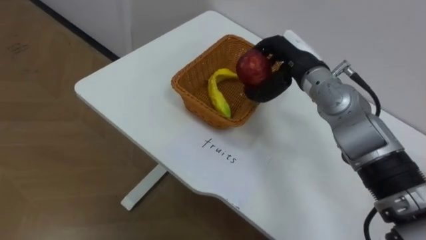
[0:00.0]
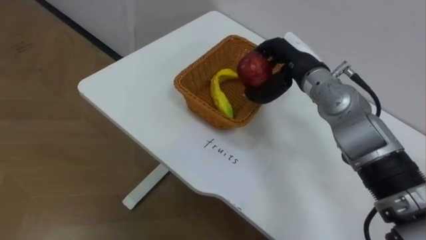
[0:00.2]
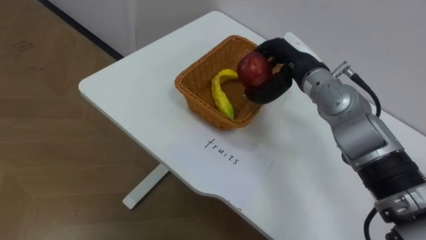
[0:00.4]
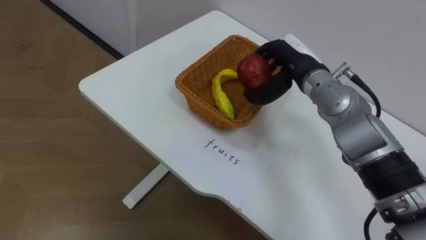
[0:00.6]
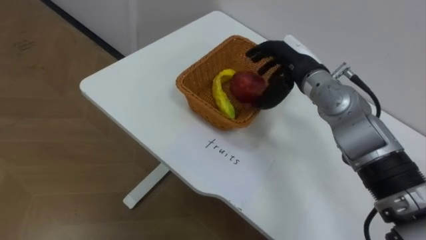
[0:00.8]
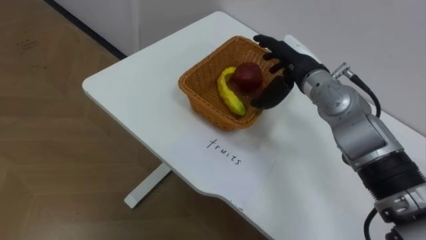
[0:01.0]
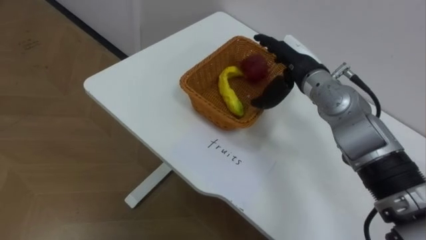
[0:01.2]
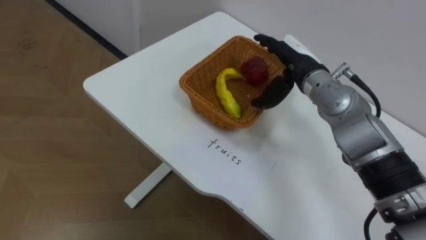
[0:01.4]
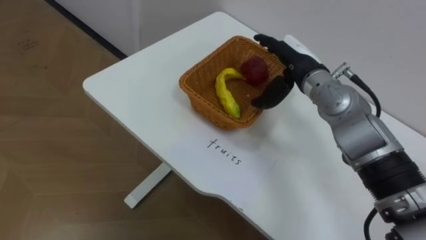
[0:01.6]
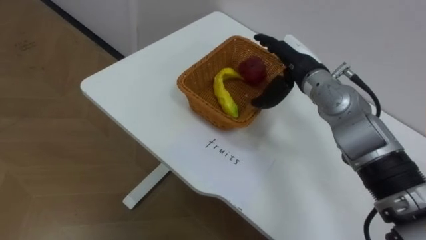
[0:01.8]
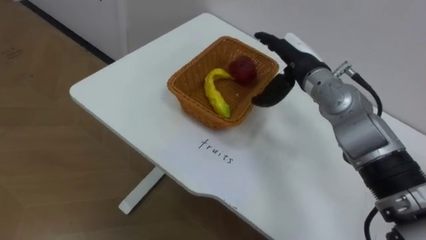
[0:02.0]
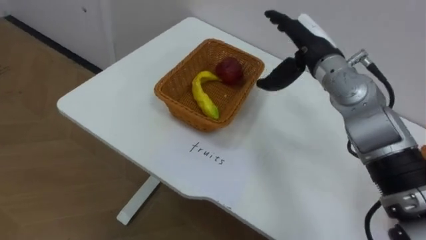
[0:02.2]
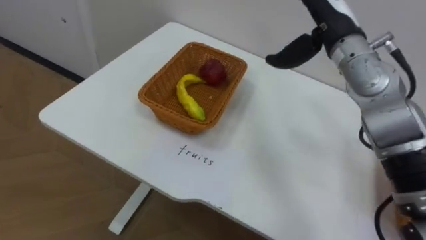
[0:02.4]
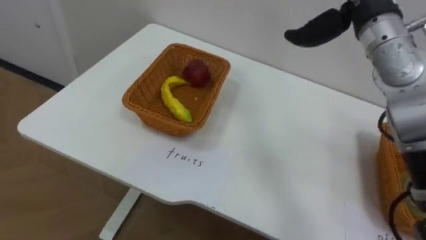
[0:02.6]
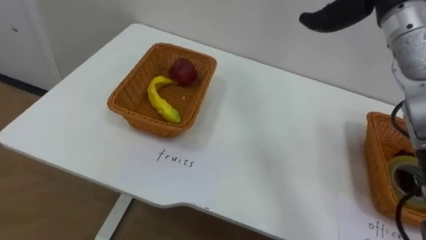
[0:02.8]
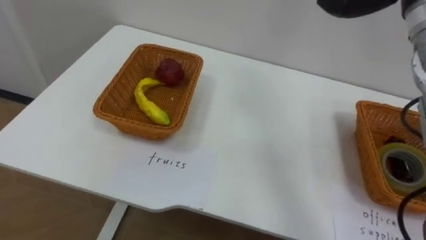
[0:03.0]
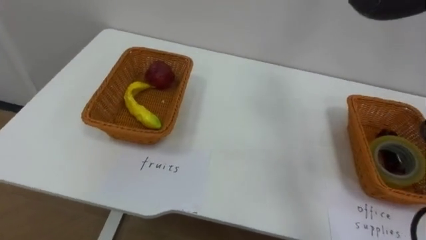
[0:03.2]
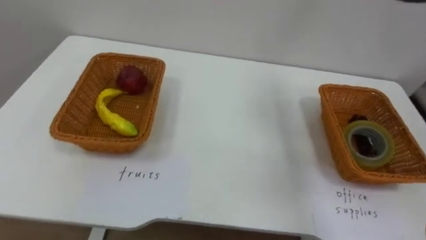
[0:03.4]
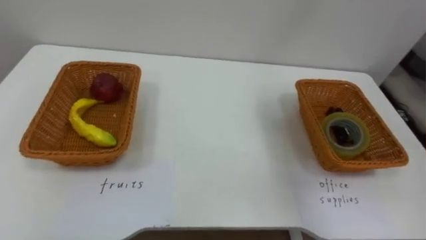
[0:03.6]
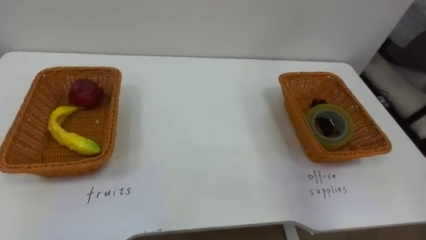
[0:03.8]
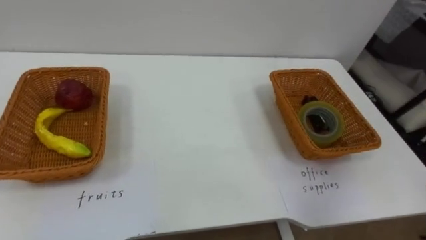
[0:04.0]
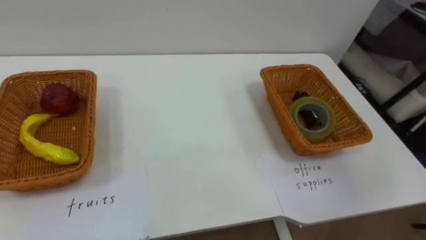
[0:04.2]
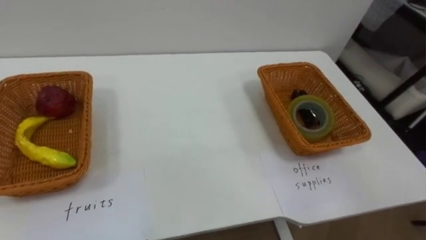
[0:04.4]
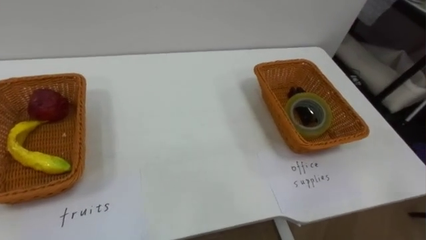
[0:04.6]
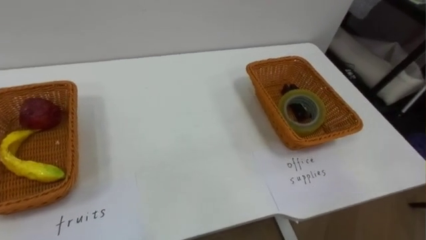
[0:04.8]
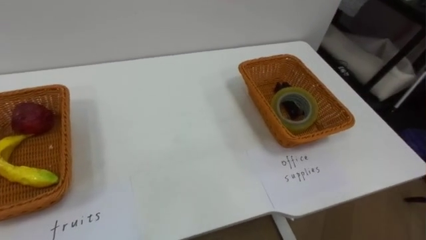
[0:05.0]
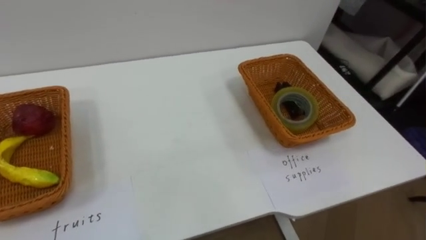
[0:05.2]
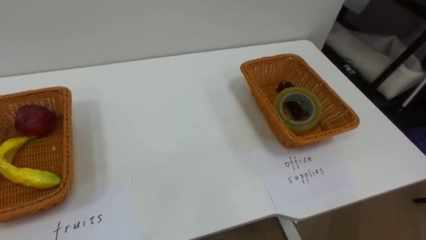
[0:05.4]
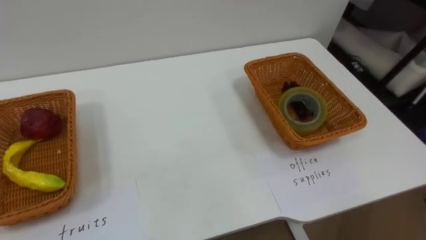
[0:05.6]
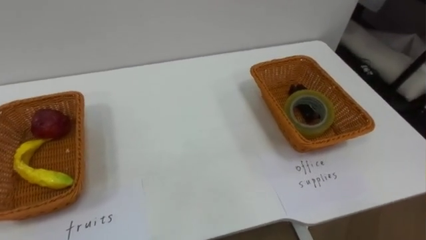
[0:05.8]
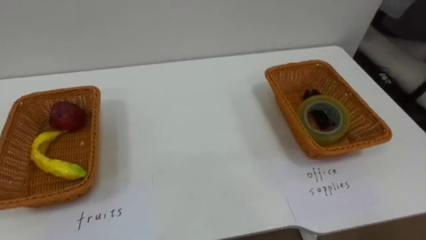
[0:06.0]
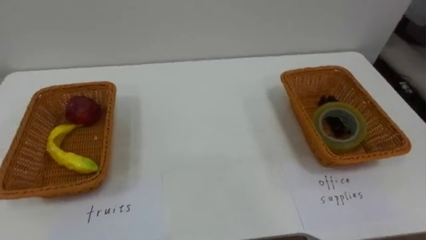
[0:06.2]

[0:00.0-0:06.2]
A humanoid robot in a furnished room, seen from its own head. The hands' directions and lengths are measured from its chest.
Task of the whole recording: Separate the items on the table and place them into the two baskets.
0:00.0 to 0:01.6: The right hand opens its fingers.

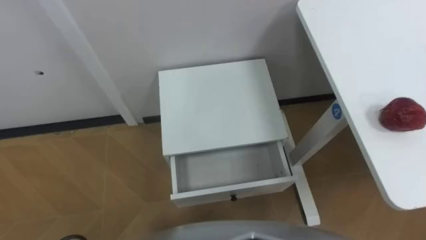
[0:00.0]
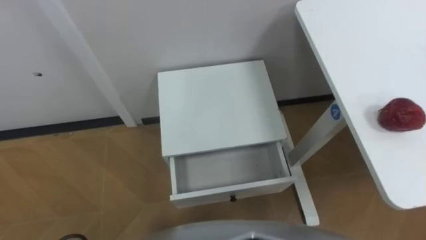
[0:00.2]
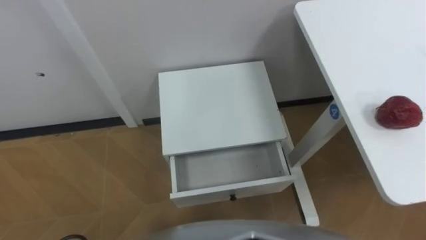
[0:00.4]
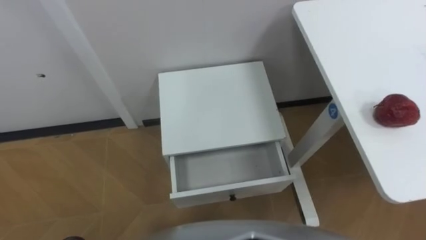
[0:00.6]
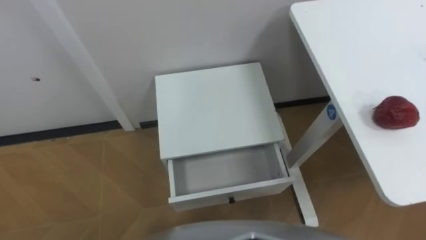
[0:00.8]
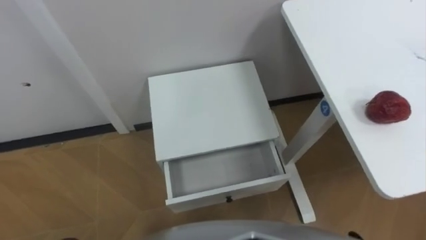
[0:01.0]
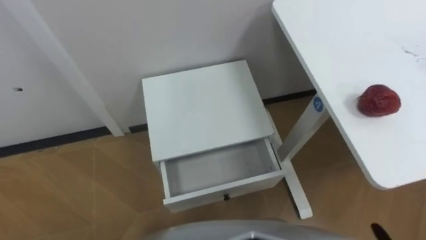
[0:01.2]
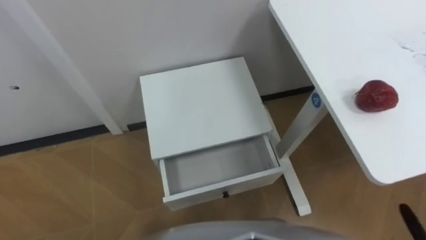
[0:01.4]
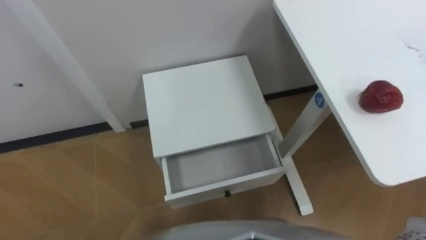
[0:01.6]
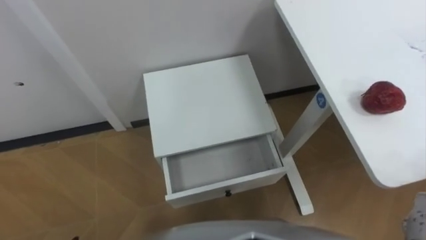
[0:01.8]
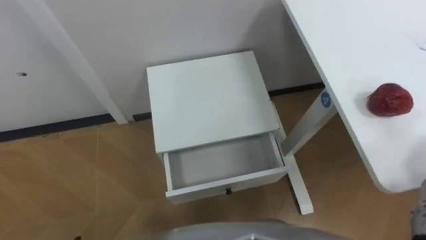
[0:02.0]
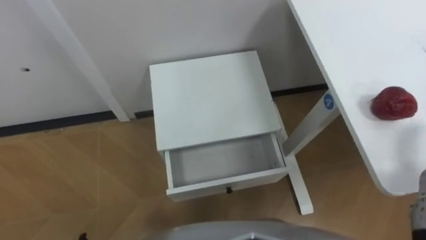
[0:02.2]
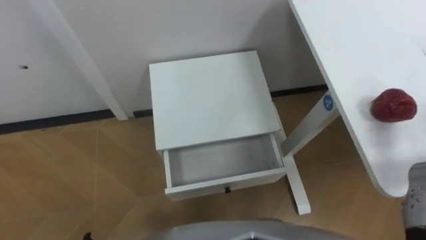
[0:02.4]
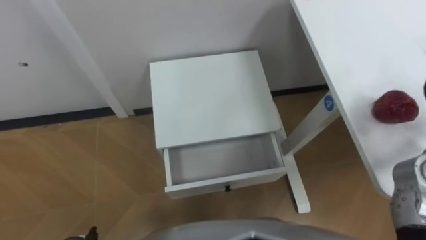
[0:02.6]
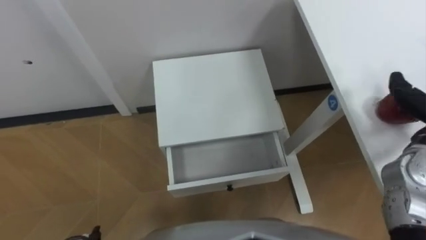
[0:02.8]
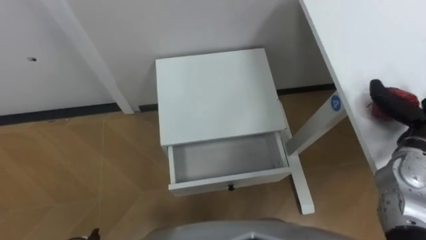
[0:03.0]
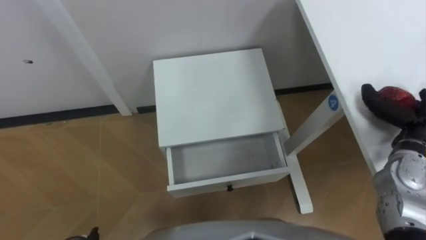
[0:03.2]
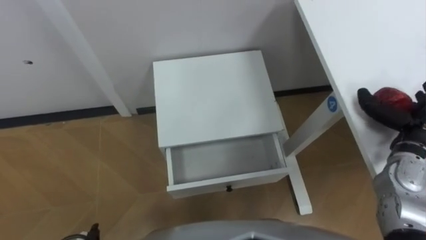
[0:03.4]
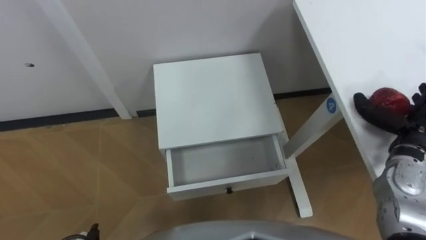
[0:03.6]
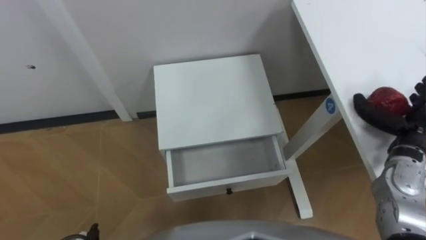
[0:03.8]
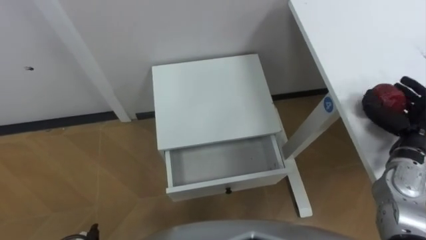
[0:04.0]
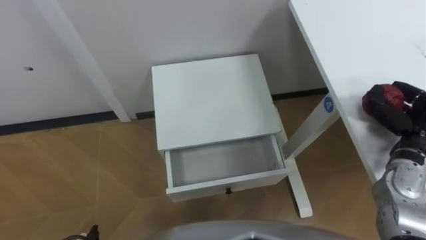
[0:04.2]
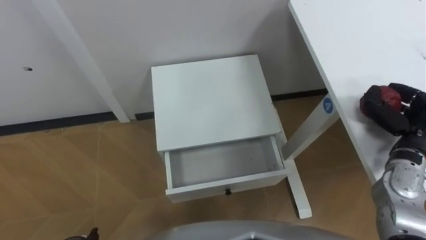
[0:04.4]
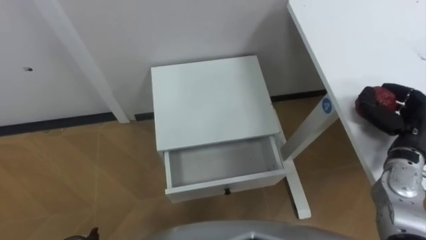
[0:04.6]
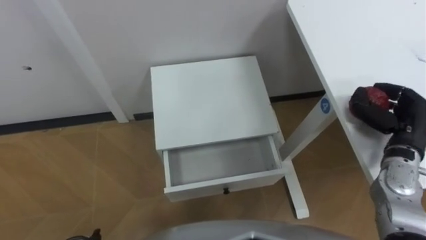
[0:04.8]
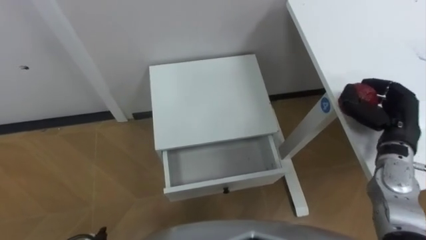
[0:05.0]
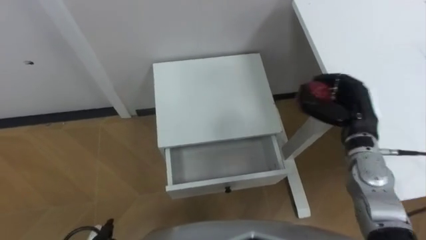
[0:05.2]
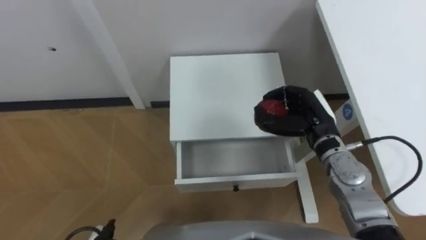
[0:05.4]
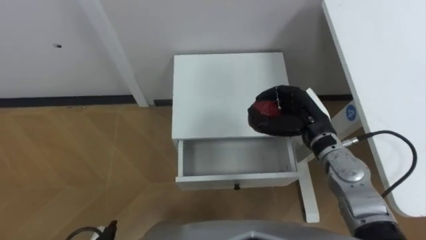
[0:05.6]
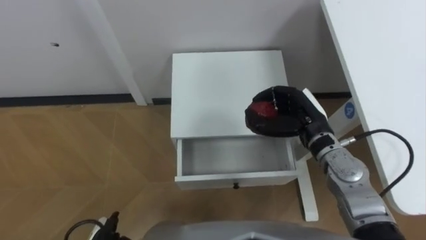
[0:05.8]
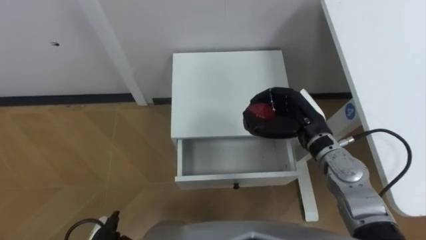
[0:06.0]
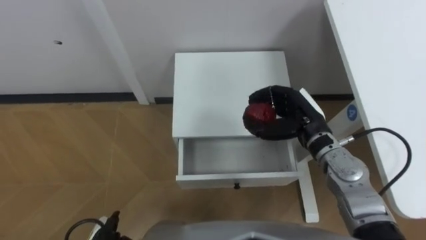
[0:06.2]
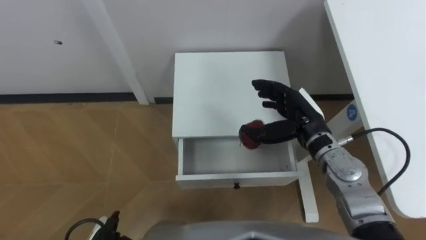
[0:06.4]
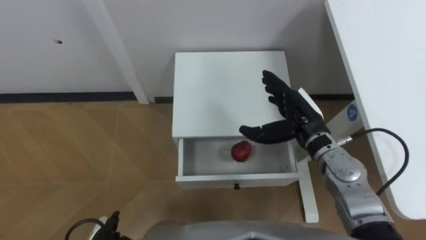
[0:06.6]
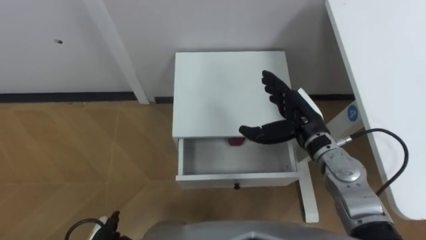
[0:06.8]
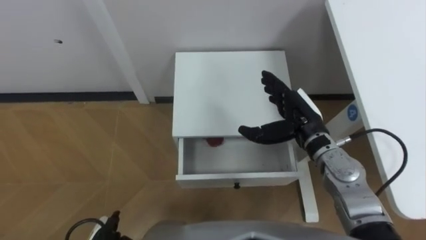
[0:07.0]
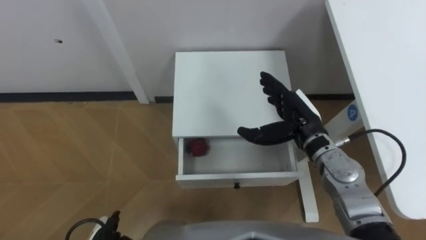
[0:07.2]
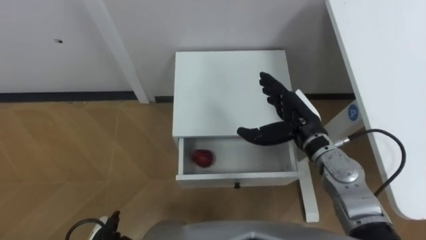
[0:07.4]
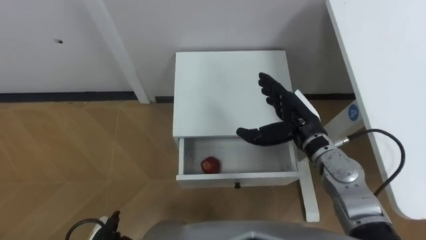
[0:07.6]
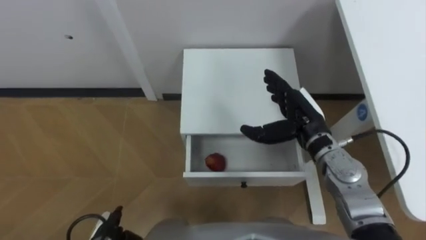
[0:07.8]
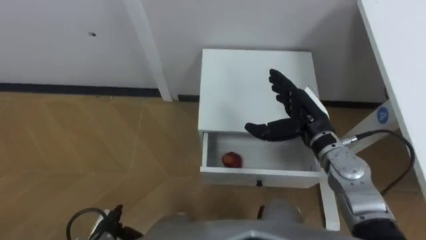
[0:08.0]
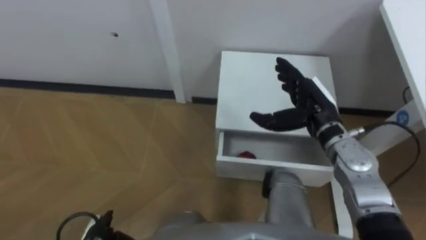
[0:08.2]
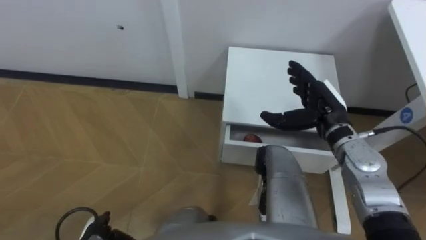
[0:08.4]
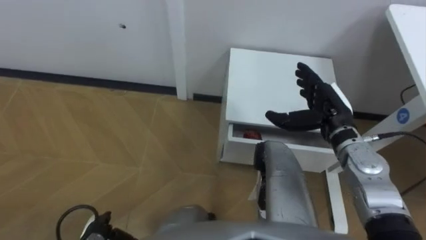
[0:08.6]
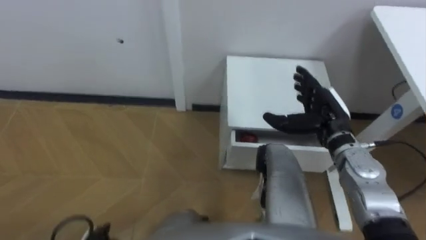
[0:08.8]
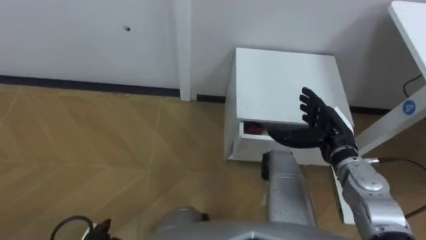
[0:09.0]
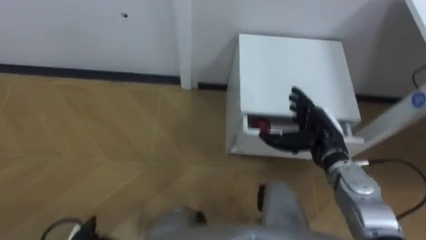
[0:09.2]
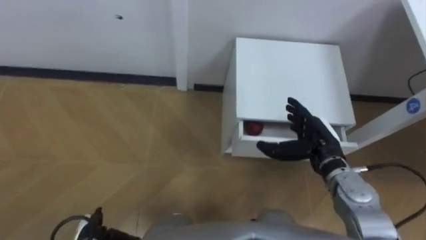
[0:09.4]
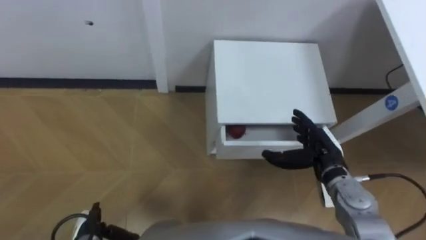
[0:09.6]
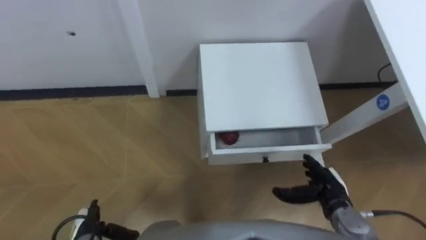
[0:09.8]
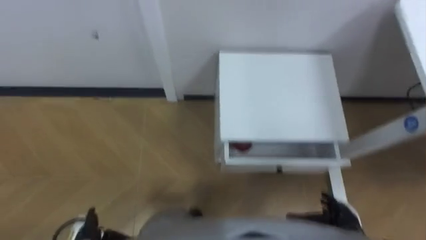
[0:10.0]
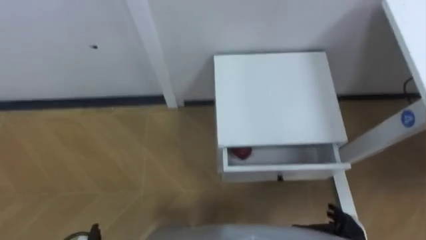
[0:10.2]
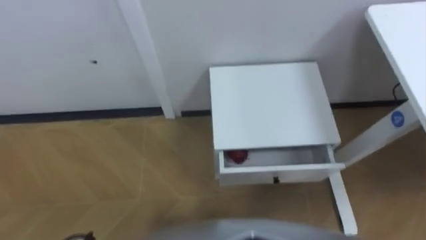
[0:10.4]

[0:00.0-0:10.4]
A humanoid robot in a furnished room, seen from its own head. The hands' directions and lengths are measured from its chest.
Task of the whole recording: Pick up the apple from the table, put it in the drawer, and close the drawer with leg.
0:04.4 to 0:06.0: The right hand shifts about 20 cm to the left.
0:07.4 to 0:09.0: The right hand goes some 5 cm to the right.
